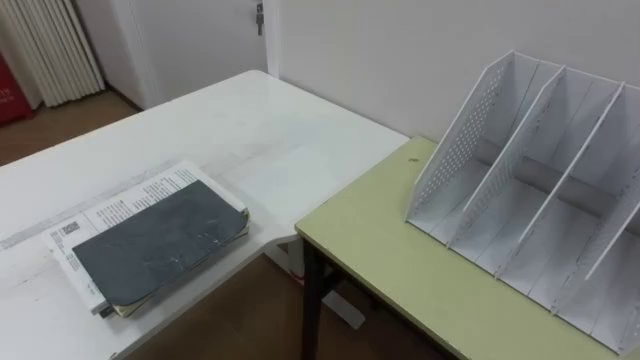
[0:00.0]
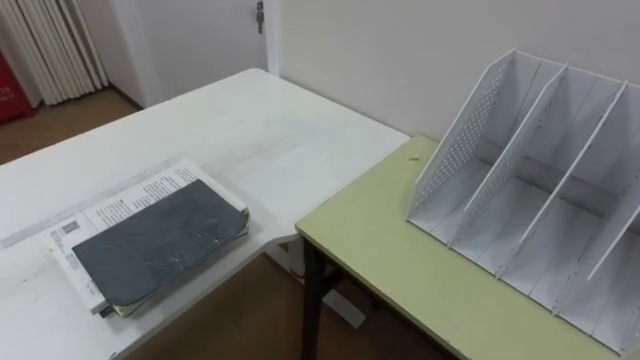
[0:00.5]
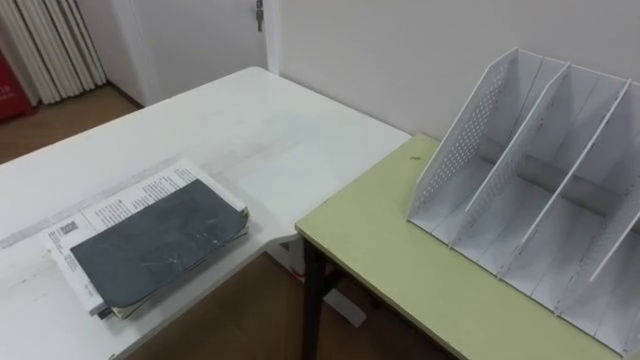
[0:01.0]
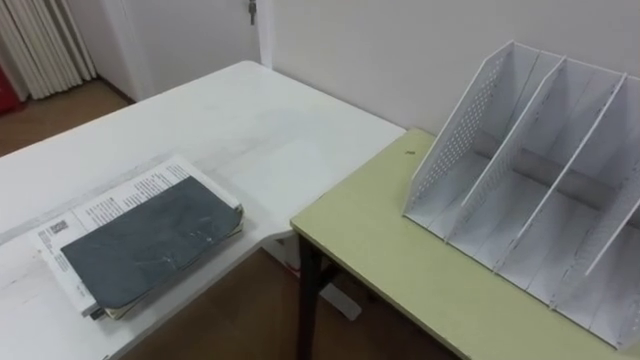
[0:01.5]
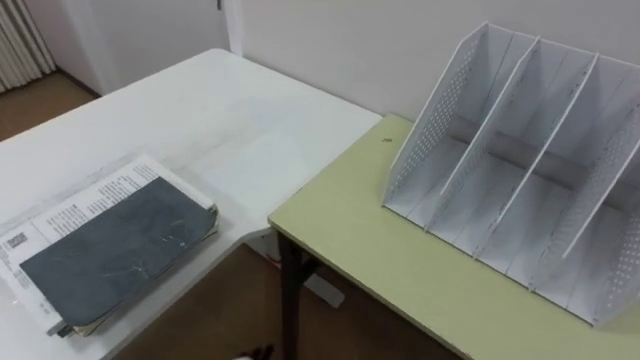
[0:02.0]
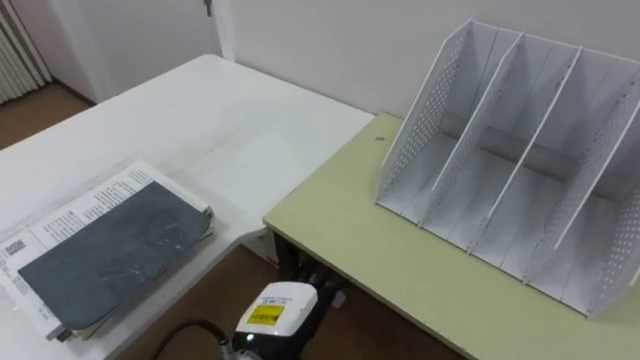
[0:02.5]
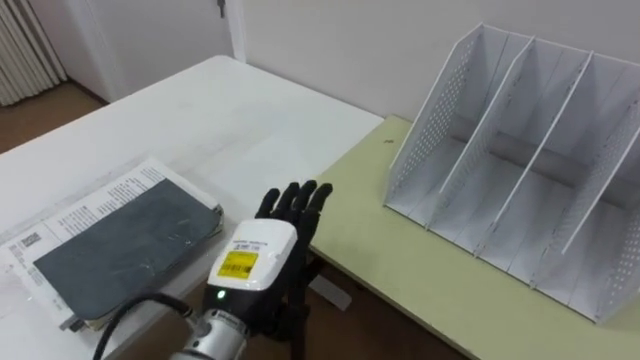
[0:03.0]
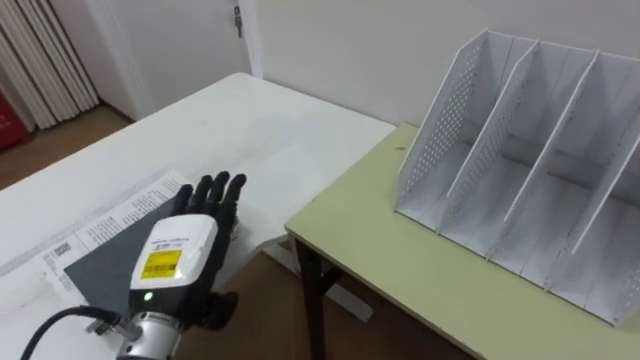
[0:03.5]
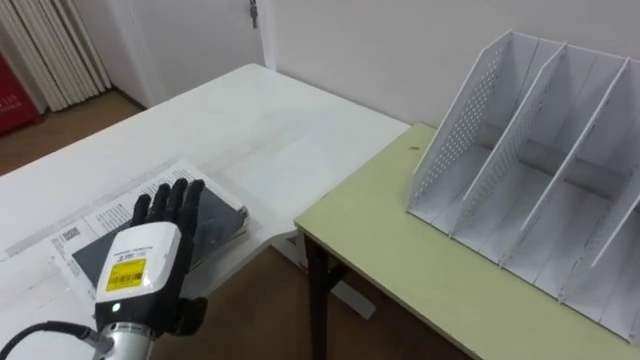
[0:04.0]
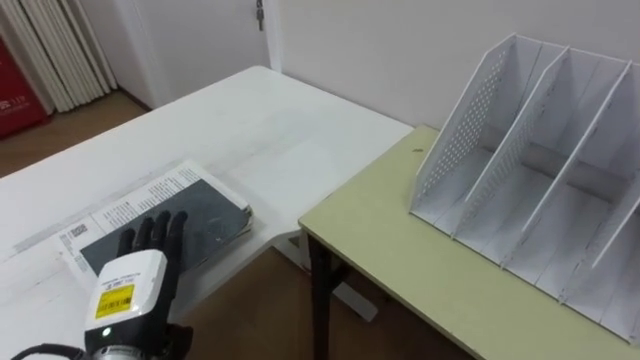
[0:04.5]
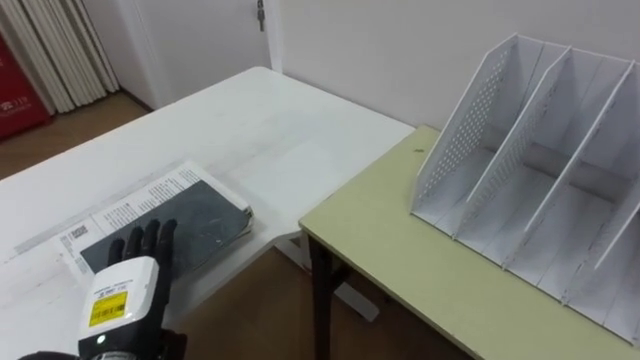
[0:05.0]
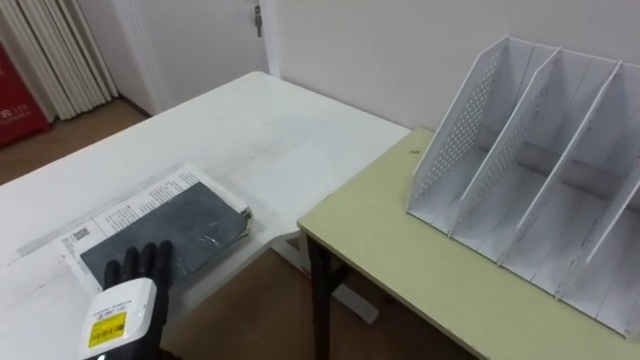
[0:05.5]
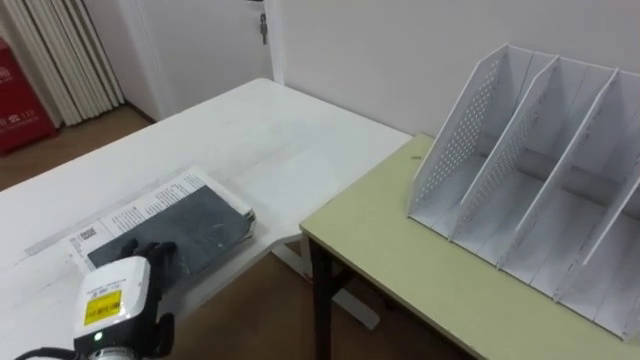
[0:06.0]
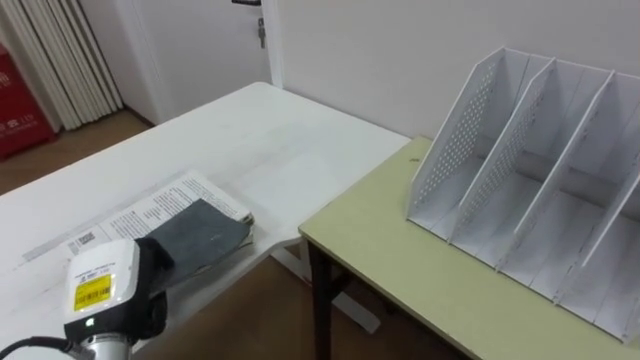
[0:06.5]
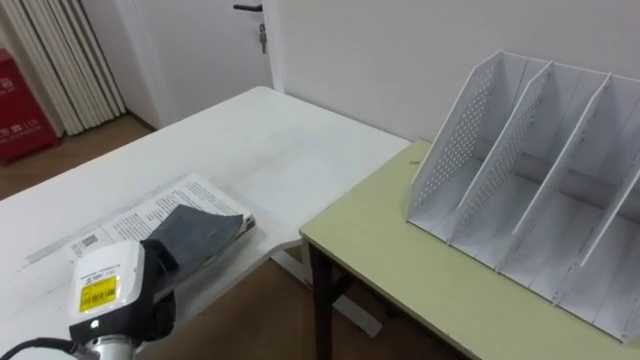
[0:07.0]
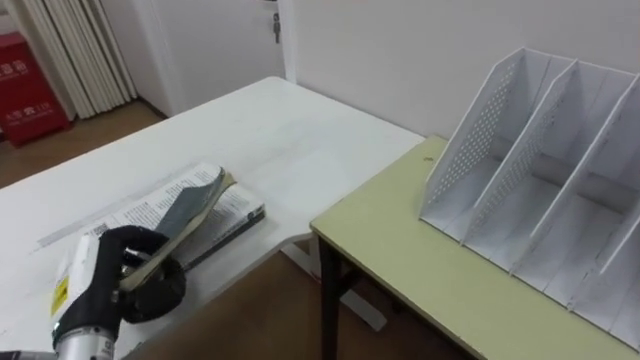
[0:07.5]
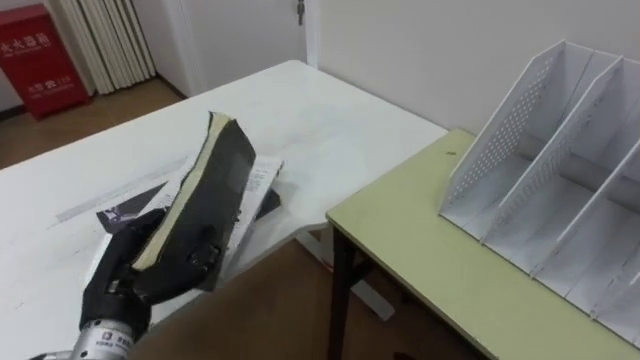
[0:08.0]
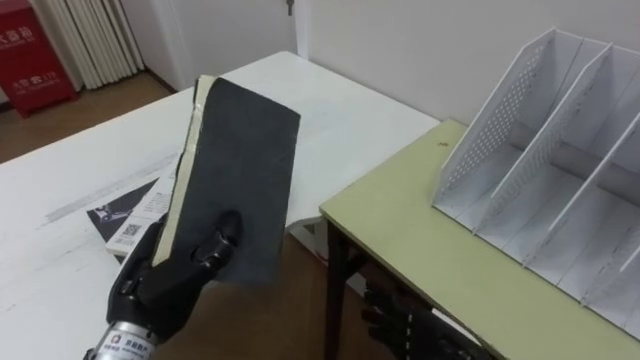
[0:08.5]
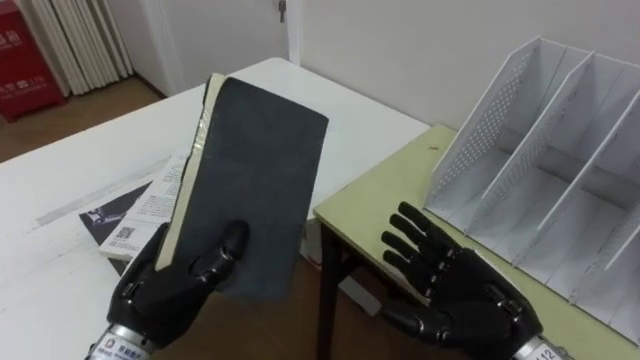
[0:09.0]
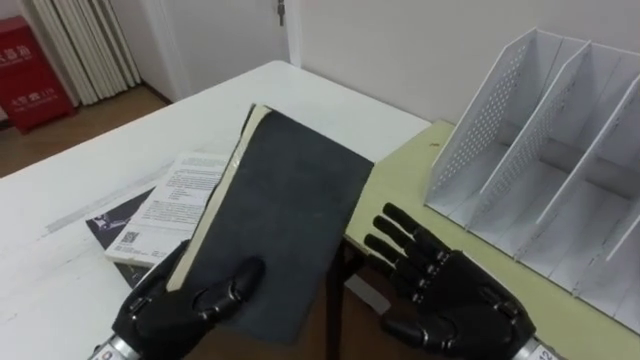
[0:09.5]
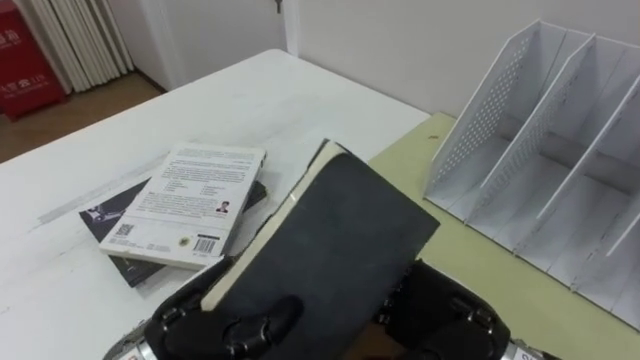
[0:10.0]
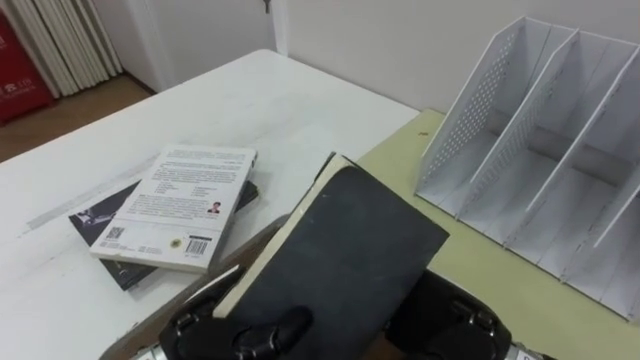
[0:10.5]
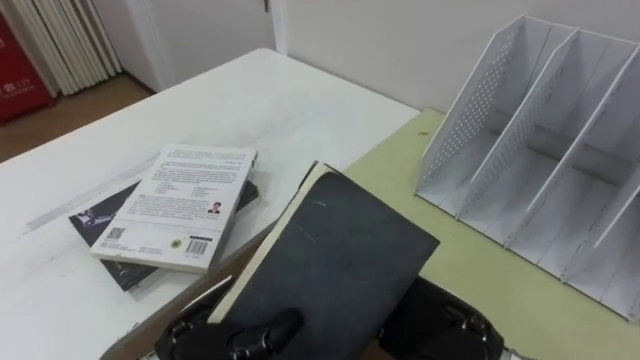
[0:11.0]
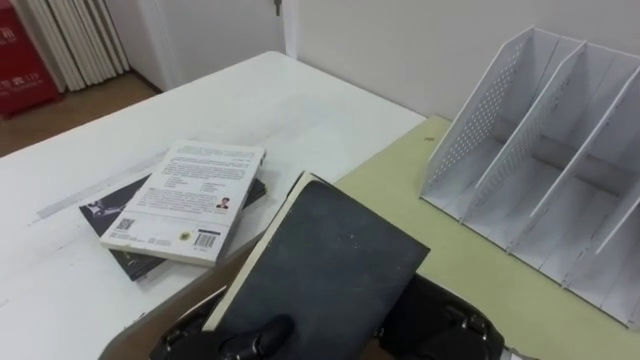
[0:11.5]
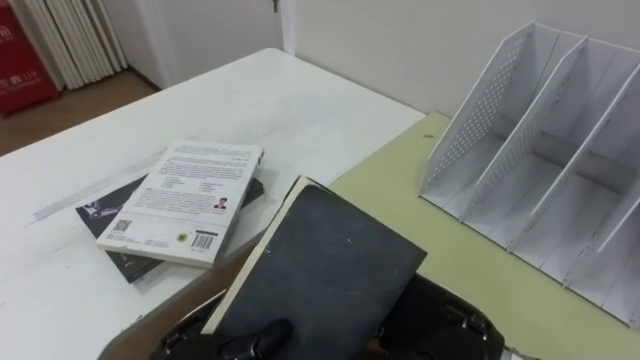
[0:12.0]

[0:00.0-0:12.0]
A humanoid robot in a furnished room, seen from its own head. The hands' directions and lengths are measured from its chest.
Task of the whole recording: Put the books on the table onto the bookshelf.
0:04.0 to 0:06.0: The left hand travels downward by approximately 5 cm.
0:06.0 to 0:08.0: The left hand ends up some 5 cm from where it was, and closes up.
0:08.0 to 0:10.0: The left hand shifts approximately 10 cm to the right.
0:10.0 to 0:12.0: The left hand shifts by some 5 cm.

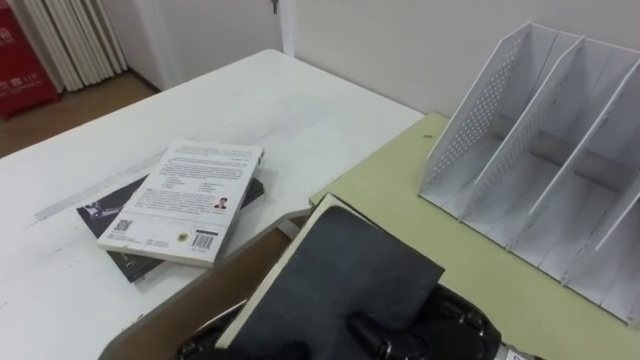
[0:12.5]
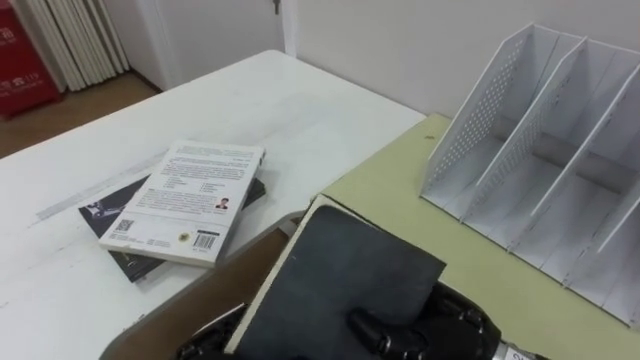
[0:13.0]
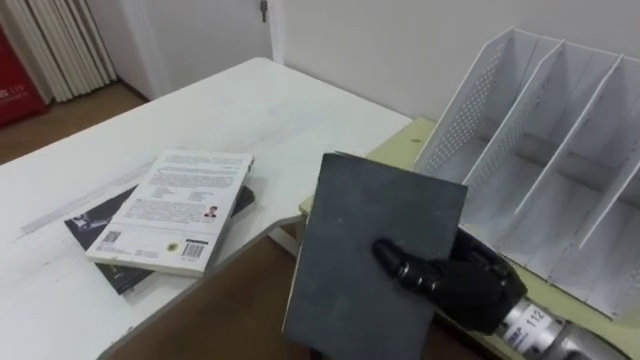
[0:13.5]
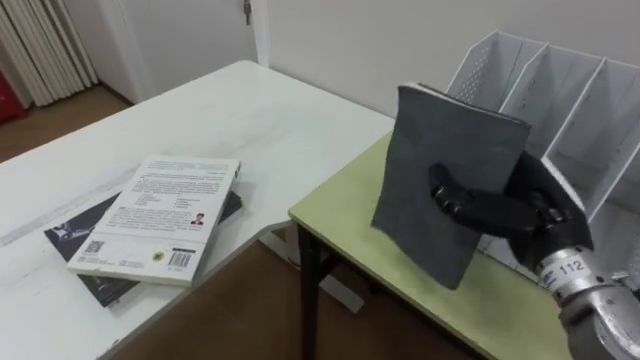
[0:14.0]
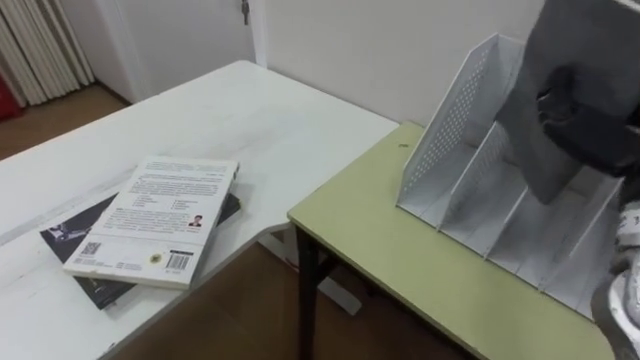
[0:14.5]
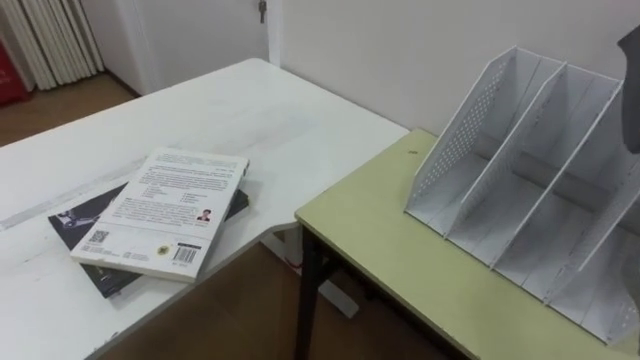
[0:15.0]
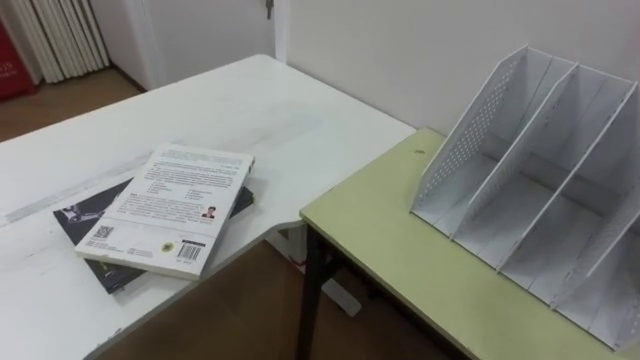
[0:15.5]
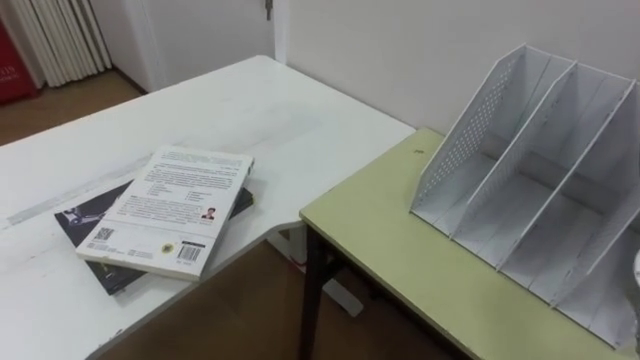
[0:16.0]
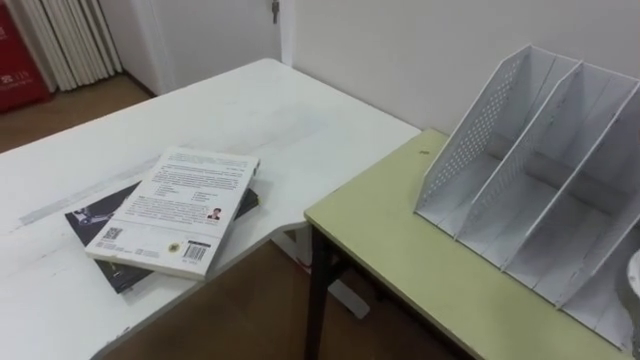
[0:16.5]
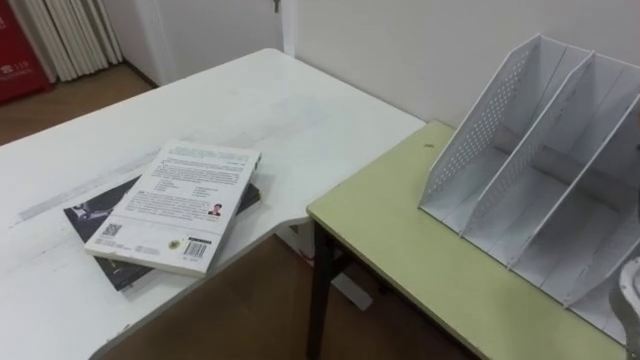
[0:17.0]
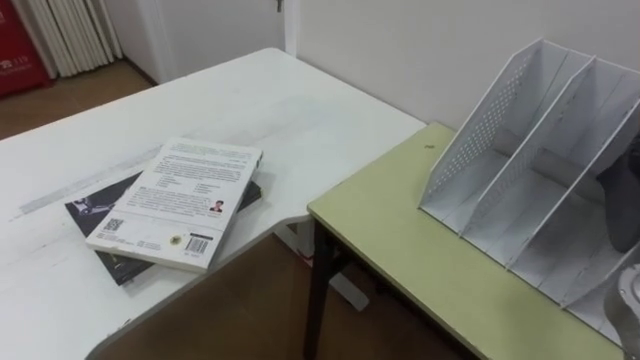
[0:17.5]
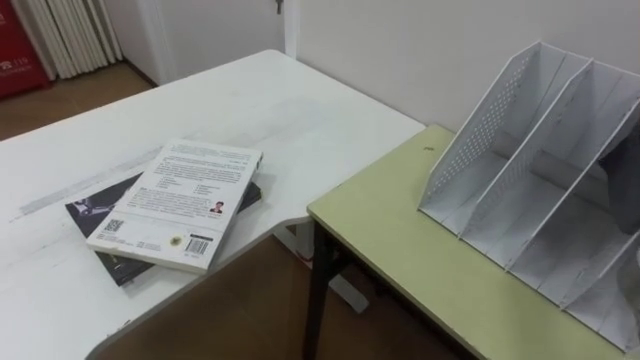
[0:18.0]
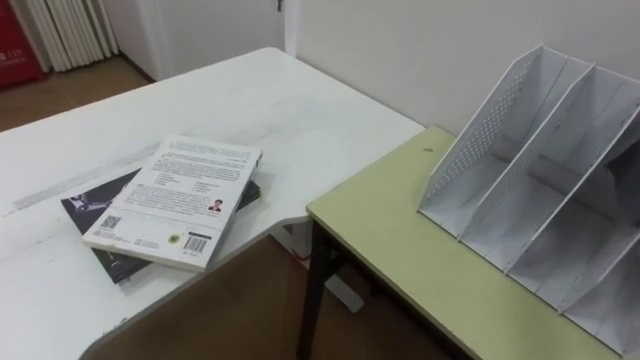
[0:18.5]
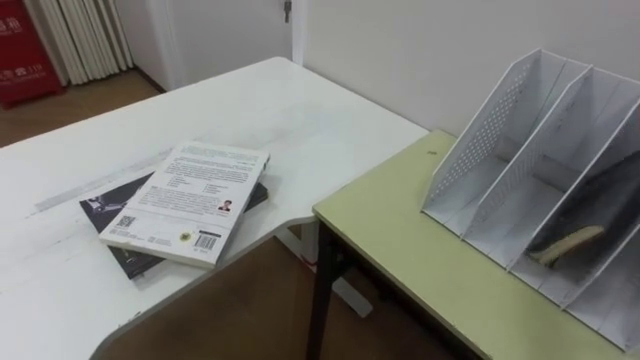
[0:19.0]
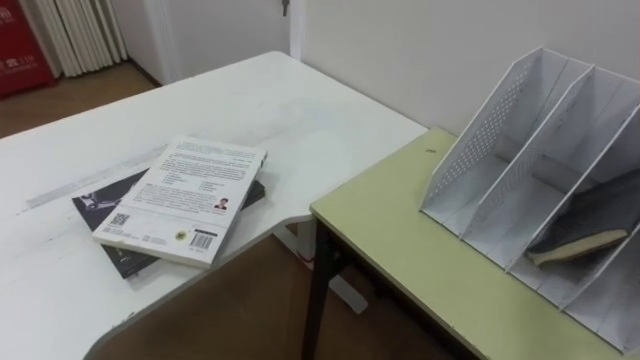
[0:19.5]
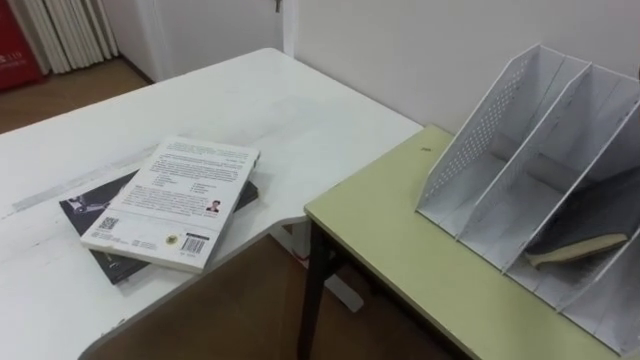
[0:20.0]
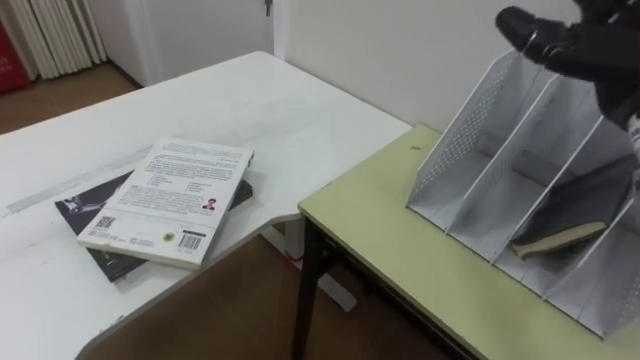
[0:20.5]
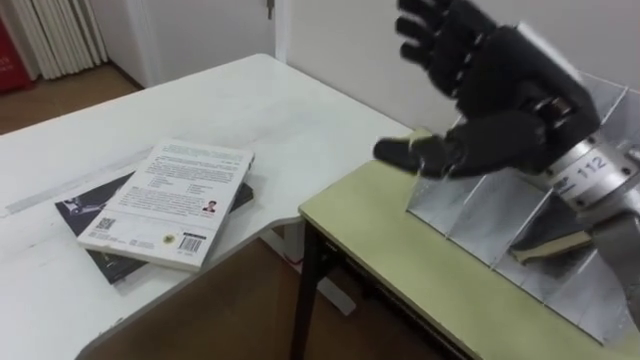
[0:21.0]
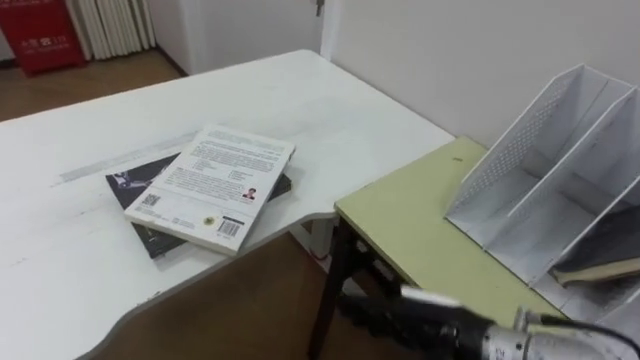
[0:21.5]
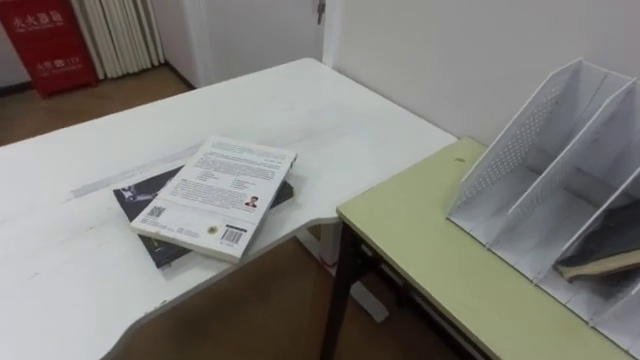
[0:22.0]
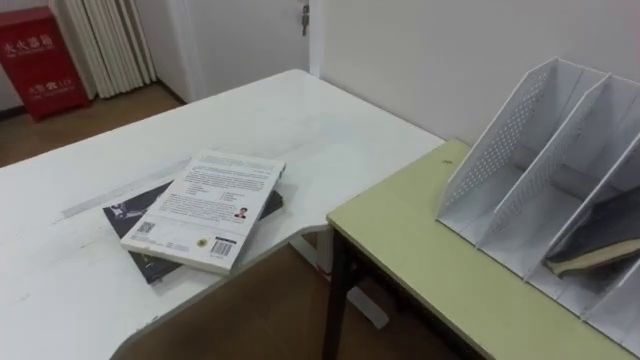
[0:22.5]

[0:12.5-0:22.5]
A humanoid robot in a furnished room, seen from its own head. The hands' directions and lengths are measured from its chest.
Task of the whole recording: Put the books on the table onto the bookshelf.
0:12.5 to 0:14.5: The right hand travels to the right and upward by some 25 cm.
